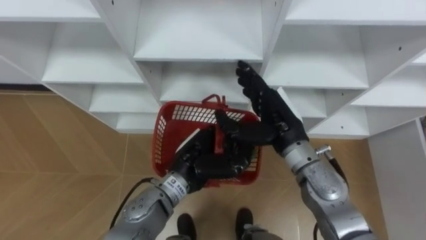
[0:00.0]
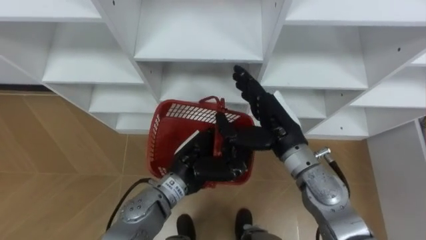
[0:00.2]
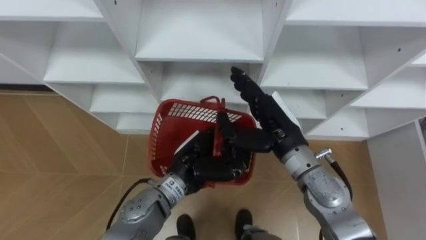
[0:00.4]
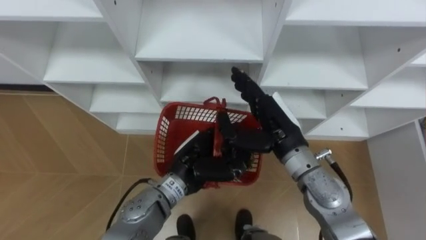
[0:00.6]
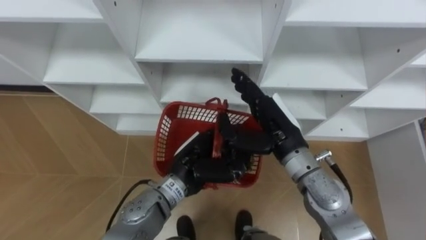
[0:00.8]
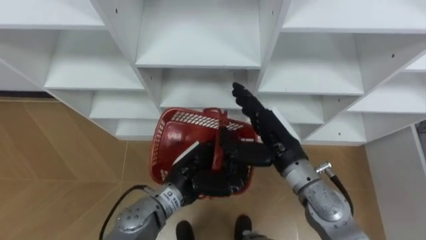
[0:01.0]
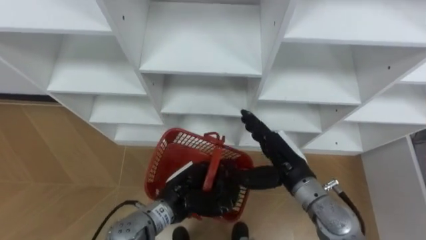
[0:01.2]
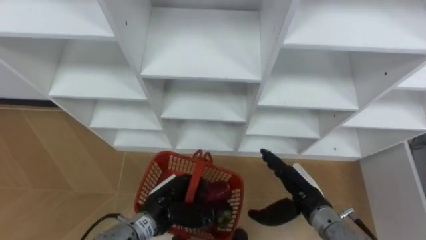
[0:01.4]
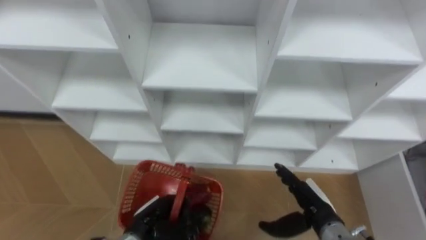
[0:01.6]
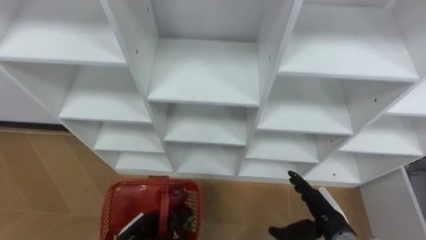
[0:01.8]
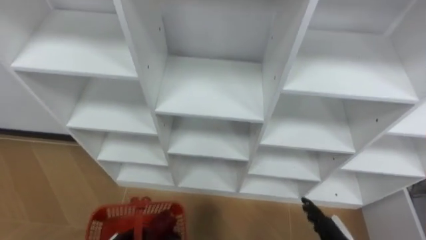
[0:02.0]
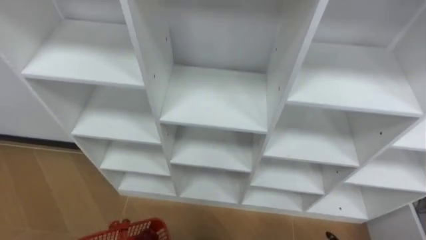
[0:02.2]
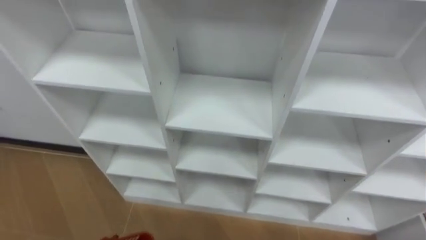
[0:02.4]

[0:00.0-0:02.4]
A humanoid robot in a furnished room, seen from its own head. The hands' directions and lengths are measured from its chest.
Task of the whole recording: Hold the basket and collect the fruits from 3 different cells of the closet into it.
0.0 to 1.2 s: The two hands go about 5 cm downward.

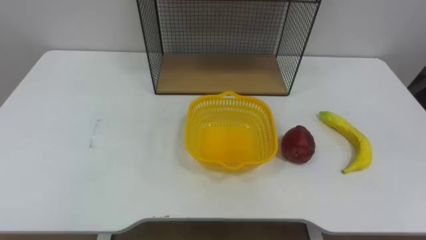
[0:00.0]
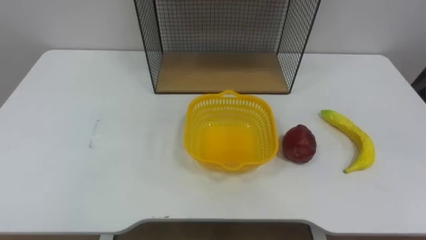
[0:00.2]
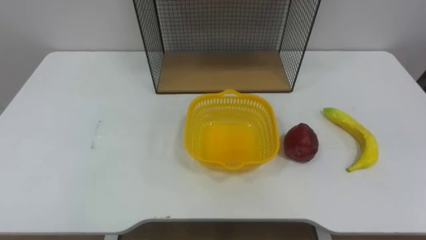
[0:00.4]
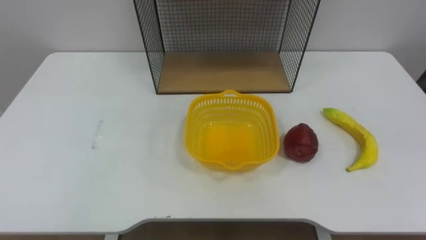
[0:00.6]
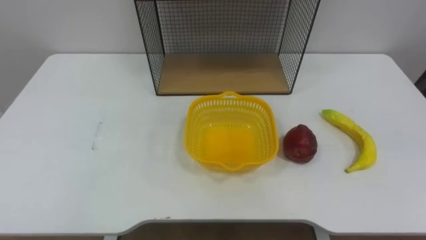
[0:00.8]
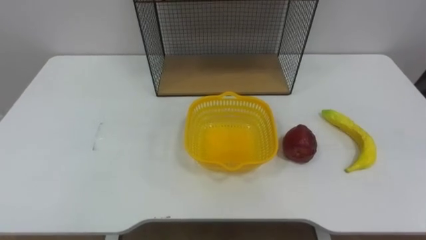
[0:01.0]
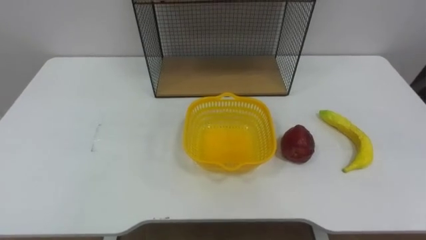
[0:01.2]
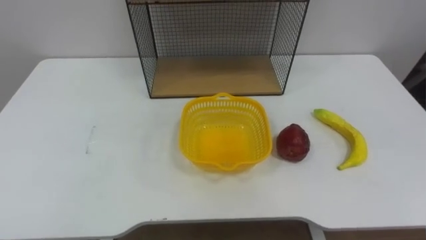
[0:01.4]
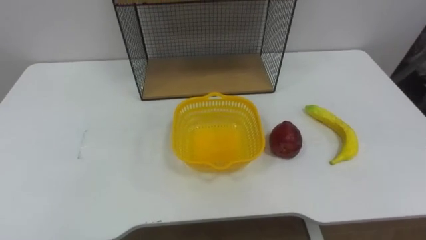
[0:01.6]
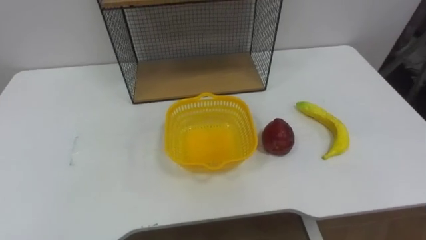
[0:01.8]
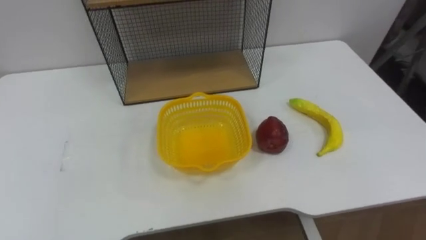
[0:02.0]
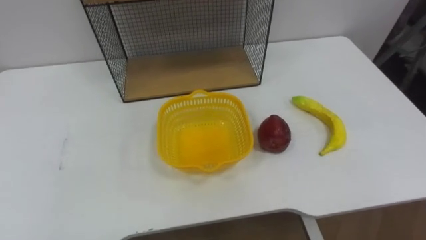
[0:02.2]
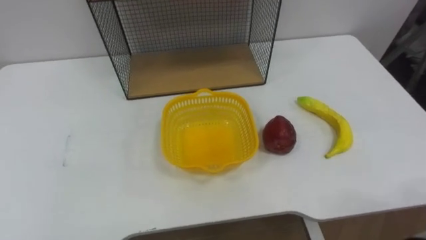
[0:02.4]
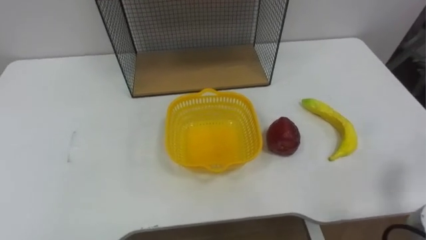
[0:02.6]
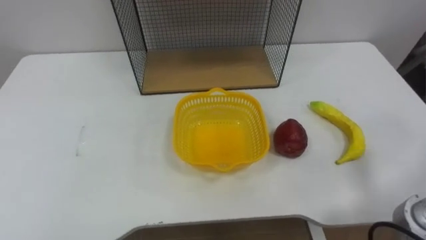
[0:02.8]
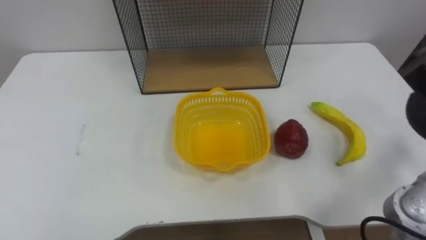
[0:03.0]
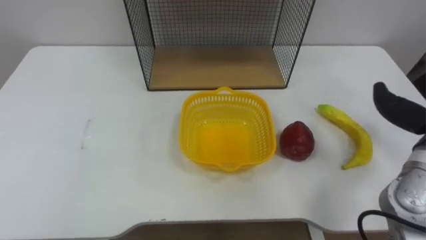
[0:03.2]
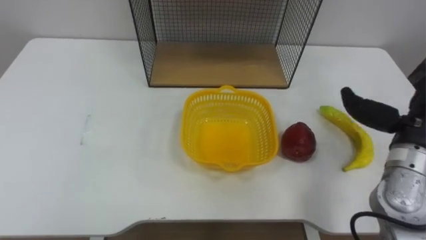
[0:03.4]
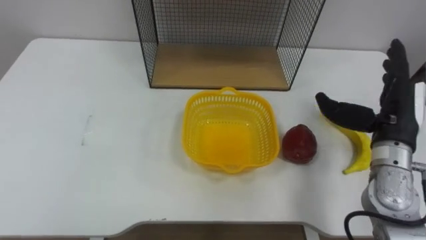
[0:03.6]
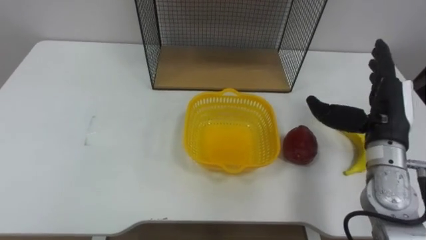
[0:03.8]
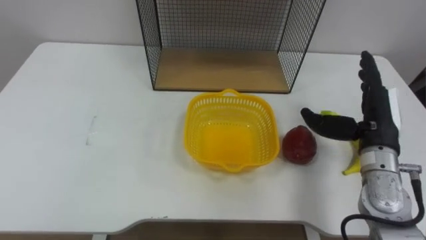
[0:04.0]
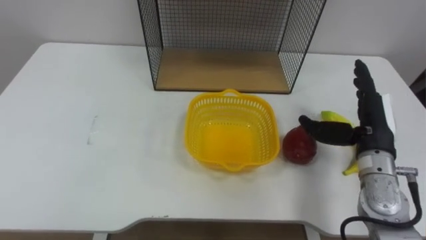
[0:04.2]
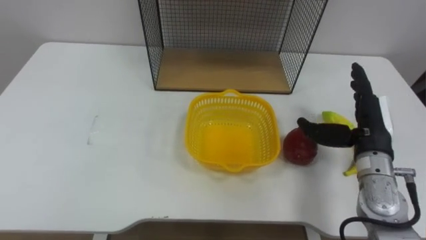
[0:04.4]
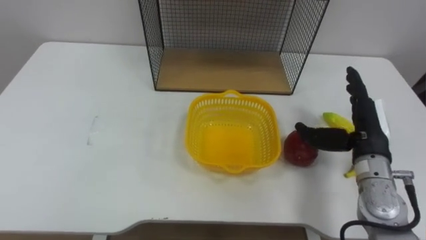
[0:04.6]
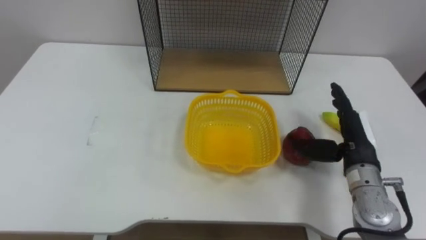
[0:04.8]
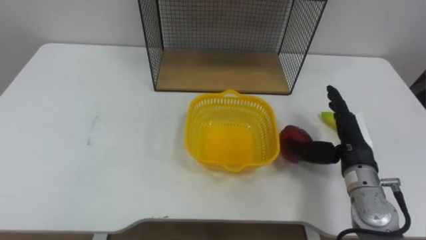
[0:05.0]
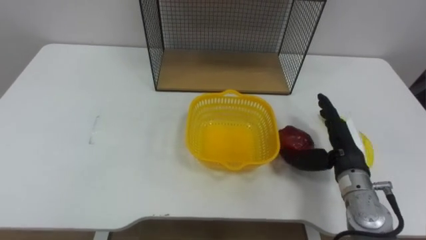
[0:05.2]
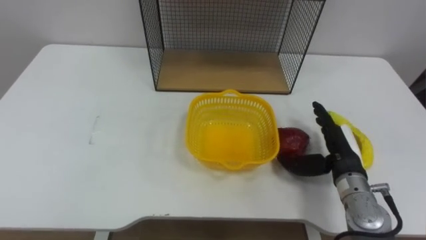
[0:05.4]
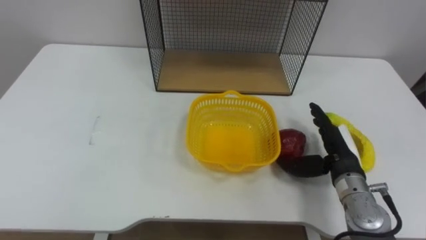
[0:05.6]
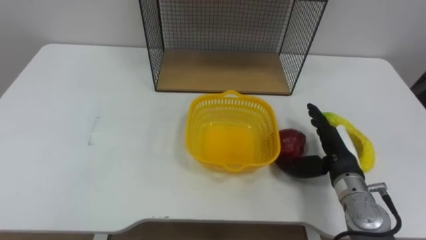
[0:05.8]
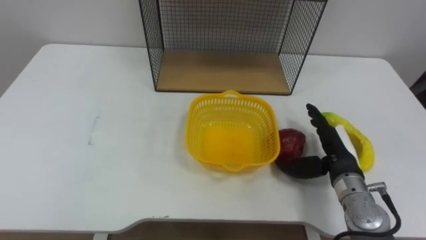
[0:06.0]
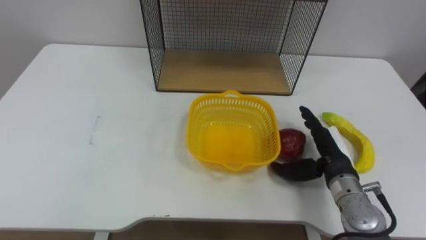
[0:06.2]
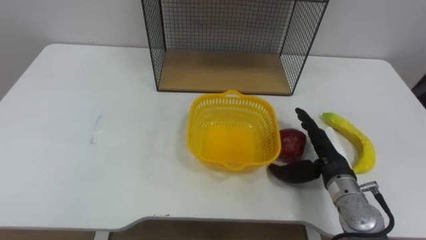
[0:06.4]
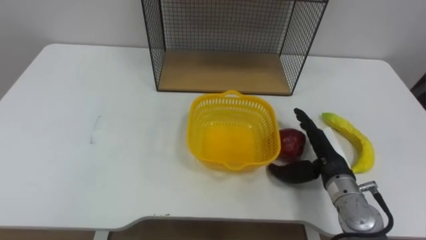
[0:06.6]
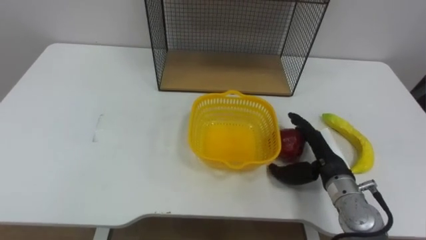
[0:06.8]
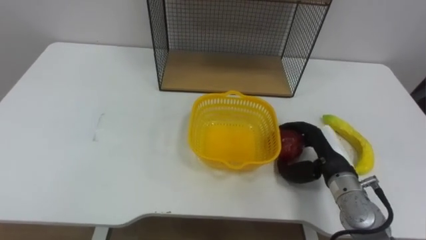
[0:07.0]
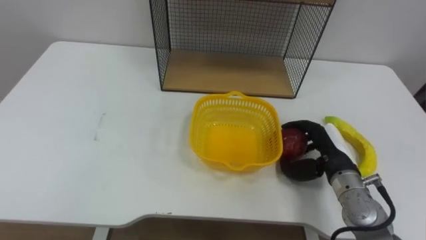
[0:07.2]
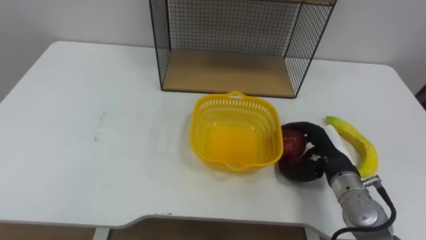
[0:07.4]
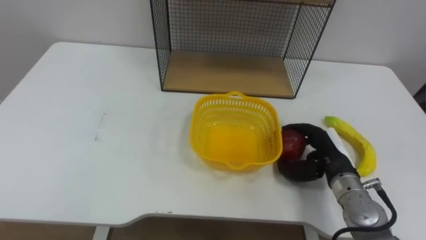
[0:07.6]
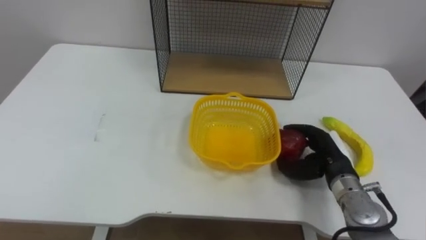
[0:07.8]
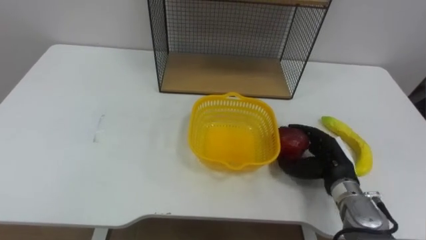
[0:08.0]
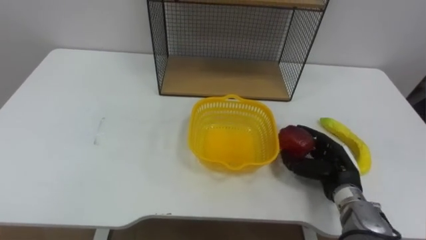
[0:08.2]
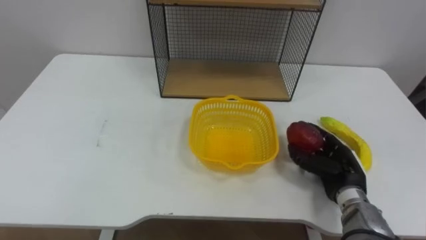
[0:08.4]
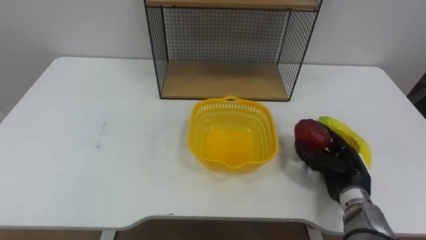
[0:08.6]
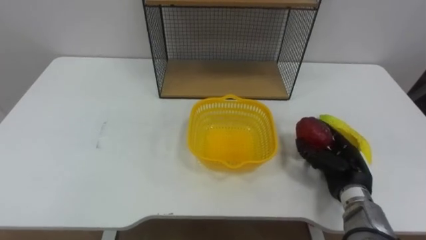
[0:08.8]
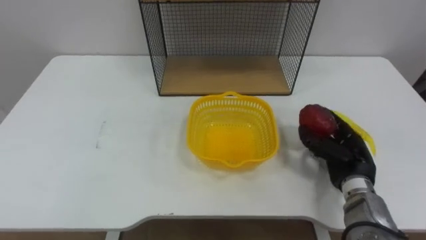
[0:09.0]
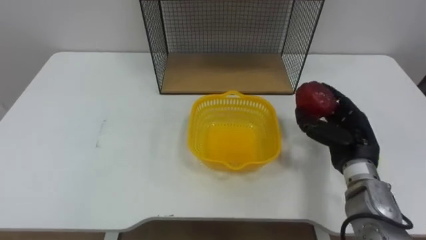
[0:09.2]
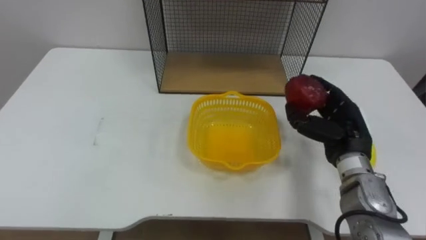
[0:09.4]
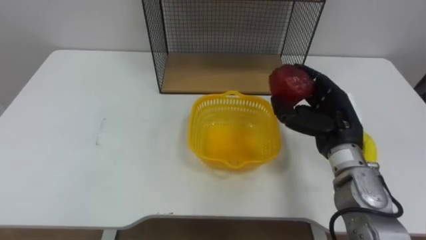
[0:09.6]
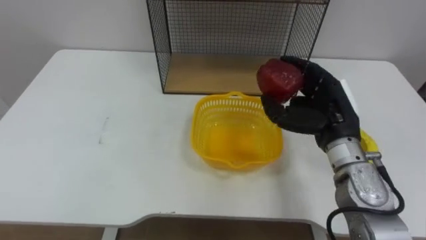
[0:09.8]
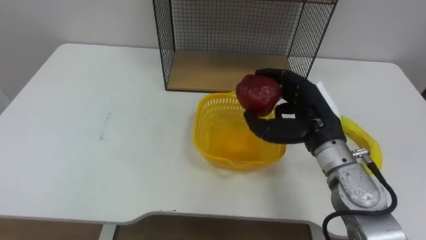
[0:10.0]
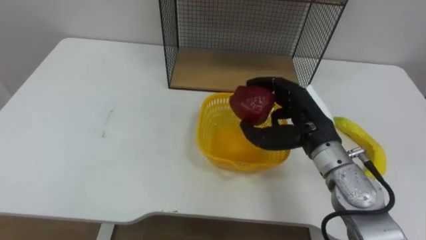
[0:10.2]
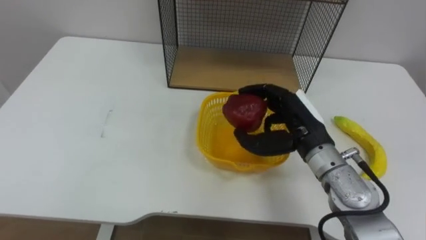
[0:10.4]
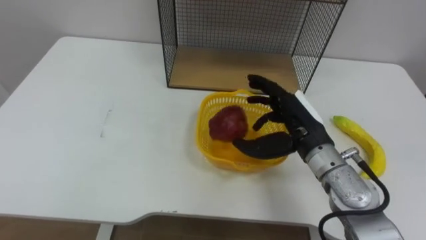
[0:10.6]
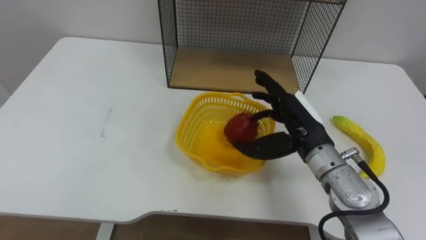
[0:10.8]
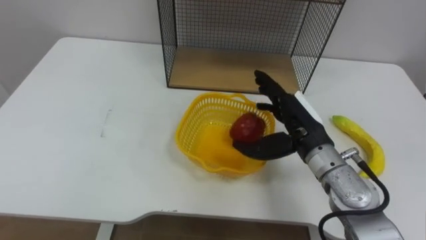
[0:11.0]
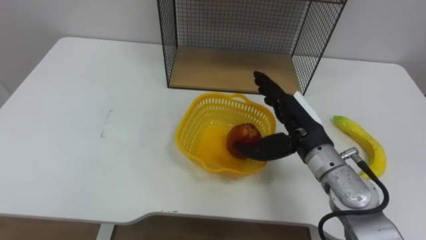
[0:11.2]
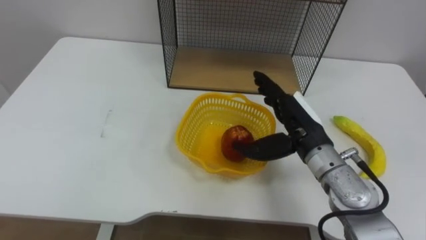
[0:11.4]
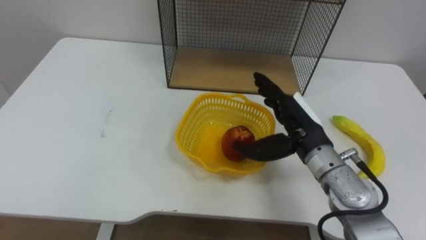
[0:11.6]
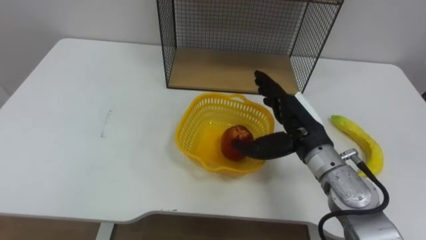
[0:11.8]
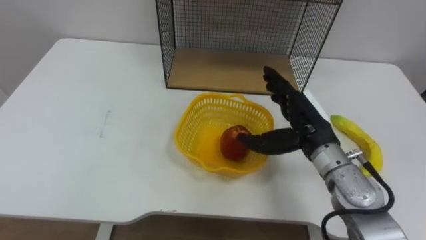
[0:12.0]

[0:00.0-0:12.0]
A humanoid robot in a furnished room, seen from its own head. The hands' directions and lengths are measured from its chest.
Task of the whole recording: Put the fruit on the table into the basket, then place the basket on the shelf.
4.4 to 6.0 s: The right hand heads downward, covering approximately 5 cm.
6.0 to 7.6 s: The right hand closes its fingers.
9.0 to 10.4 s: The right hand is displaced to the left and upward by approximately 15 cm.
10.4 to 12.0 s: The right hand opens its fingers.

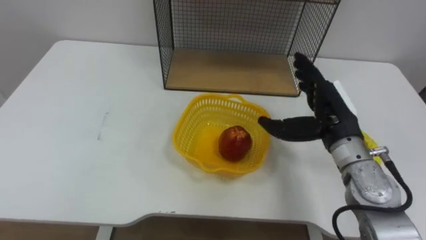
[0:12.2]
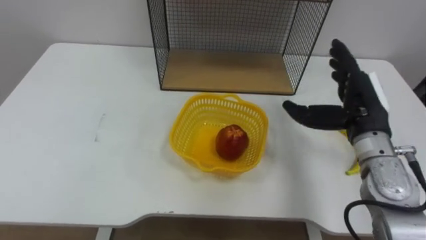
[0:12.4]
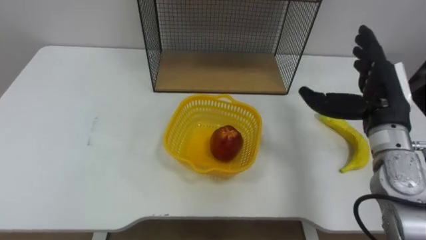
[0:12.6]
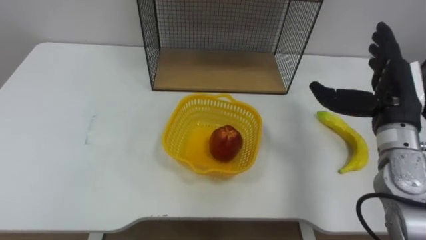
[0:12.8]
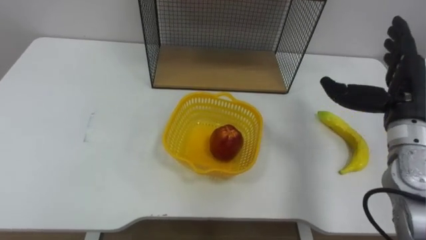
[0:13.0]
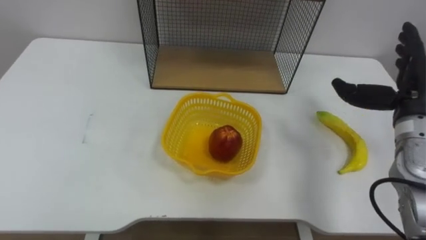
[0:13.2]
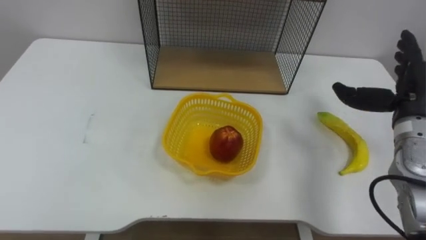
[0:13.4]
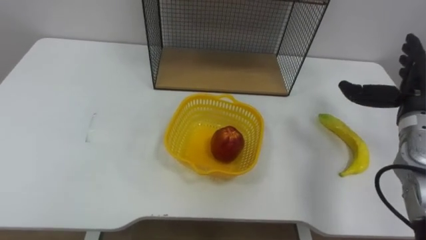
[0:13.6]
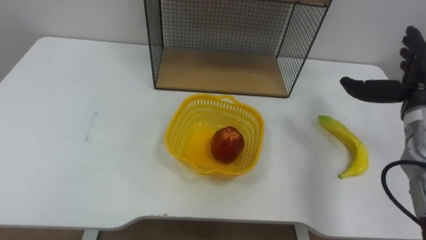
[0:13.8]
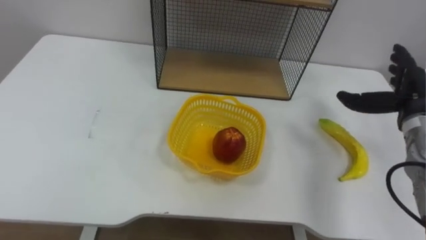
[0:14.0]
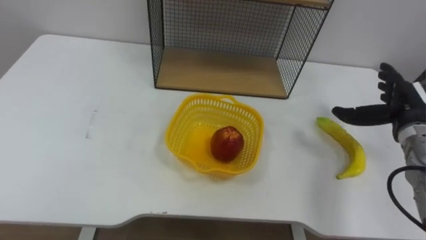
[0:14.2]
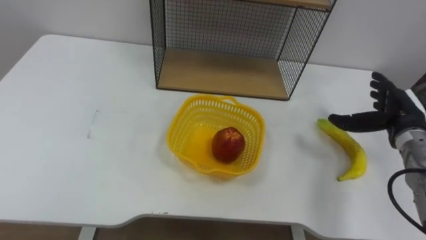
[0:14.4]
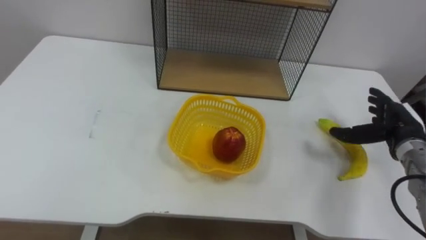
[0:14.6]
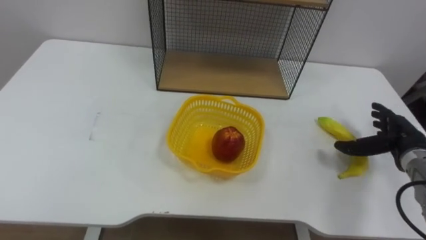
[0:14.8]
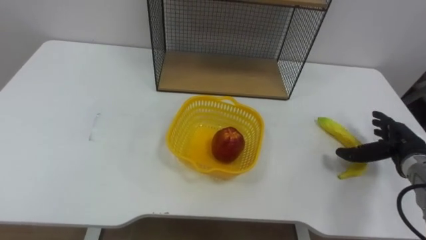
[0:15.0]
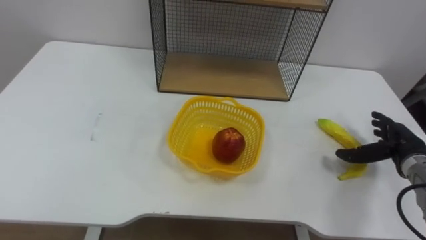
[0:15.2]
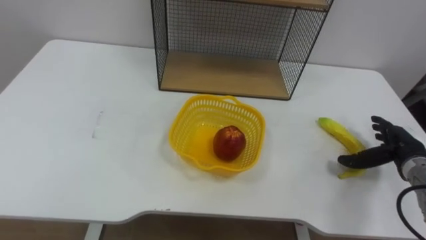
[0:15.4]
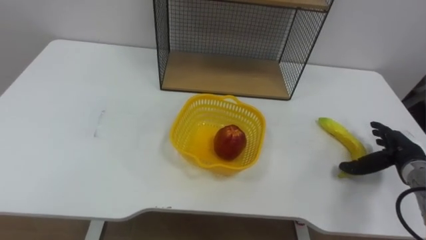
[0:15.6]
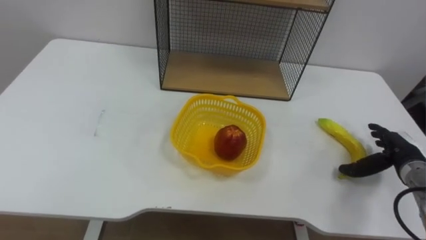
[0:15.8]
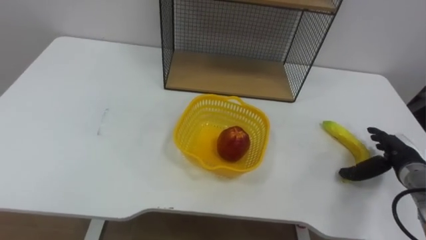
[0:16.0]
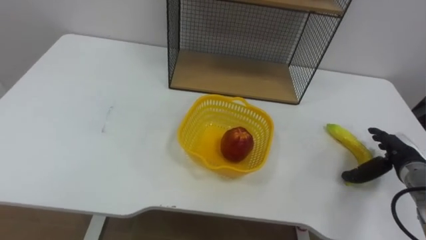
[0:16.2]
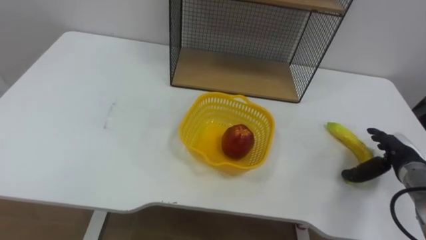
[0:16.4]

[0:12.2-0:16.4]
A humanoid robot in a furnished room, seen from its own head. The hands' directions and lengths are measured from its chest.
Task of the whole recording: Put the fruit on the table into the basket, then place the basket on the shelf.
12.2 to 13.6 s: The right hand travels to the right by about 15 cm.
13.6 to 15.0 s: The right hand is displaced downward by approximately 10 cm.
